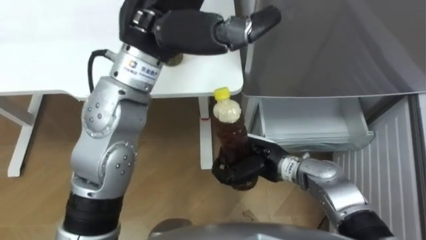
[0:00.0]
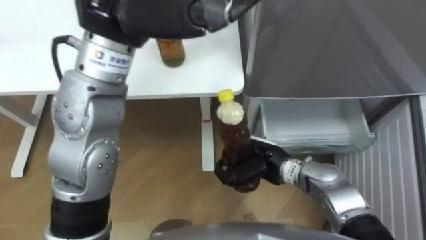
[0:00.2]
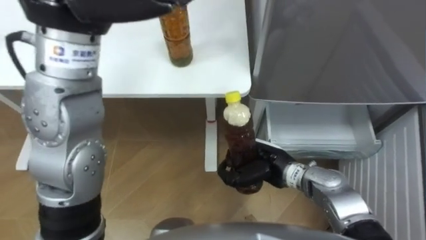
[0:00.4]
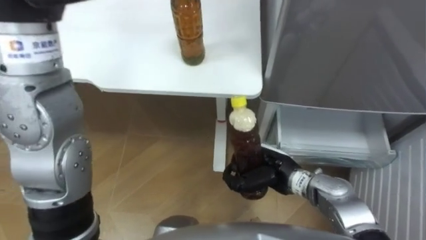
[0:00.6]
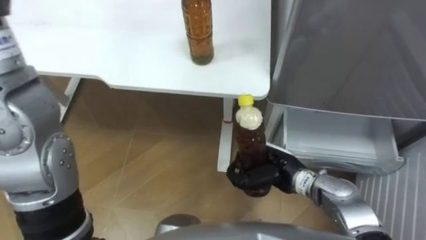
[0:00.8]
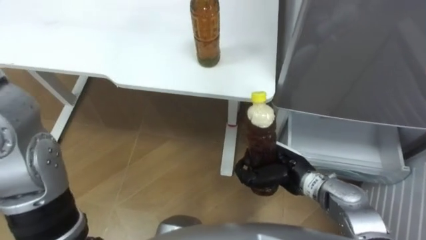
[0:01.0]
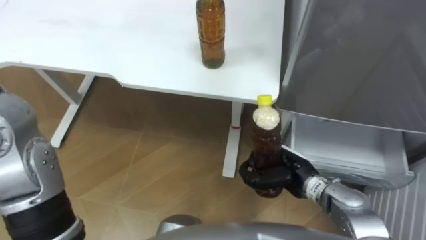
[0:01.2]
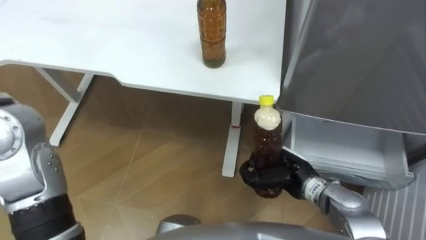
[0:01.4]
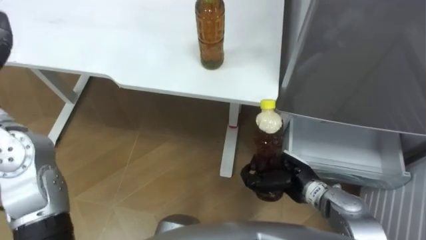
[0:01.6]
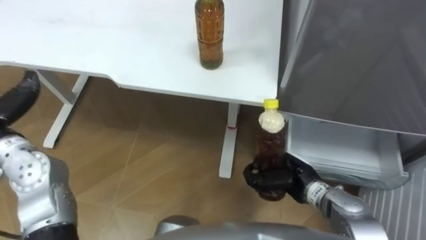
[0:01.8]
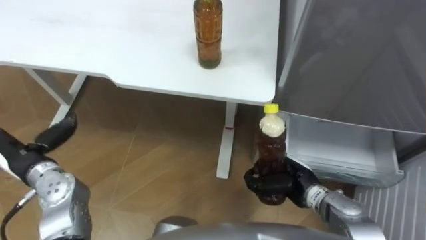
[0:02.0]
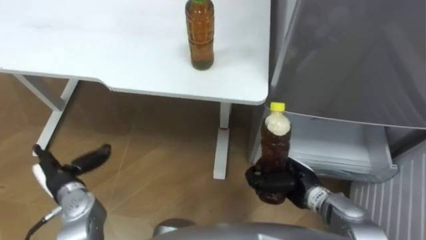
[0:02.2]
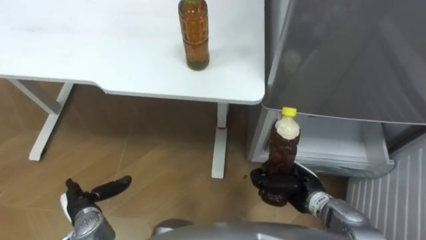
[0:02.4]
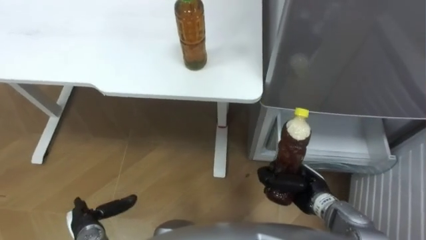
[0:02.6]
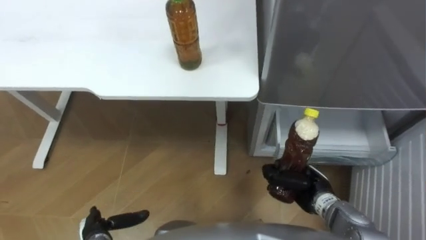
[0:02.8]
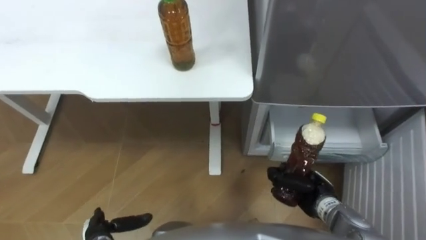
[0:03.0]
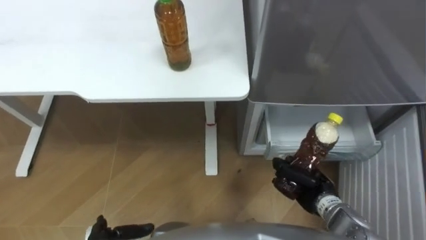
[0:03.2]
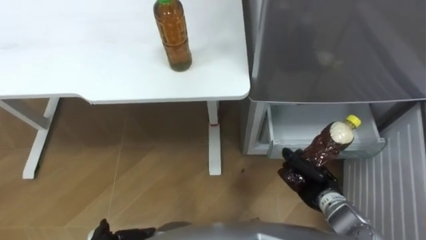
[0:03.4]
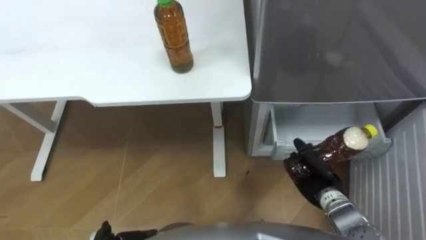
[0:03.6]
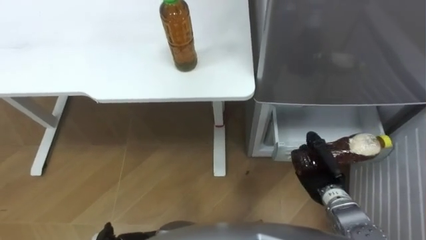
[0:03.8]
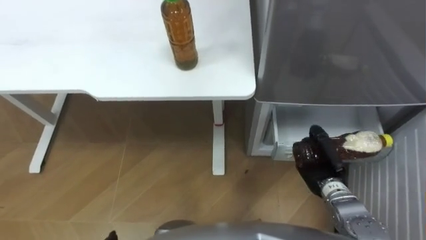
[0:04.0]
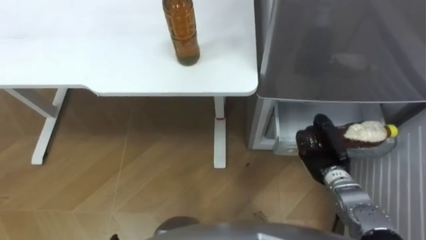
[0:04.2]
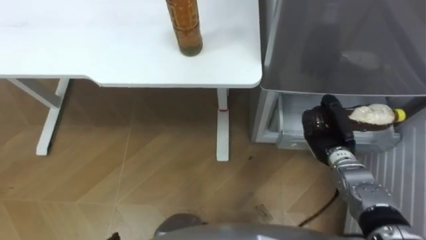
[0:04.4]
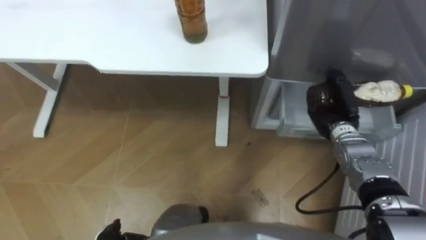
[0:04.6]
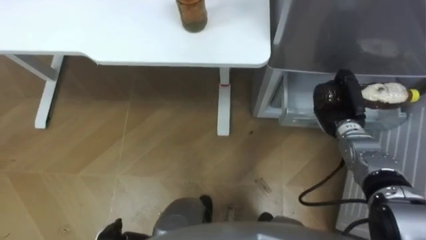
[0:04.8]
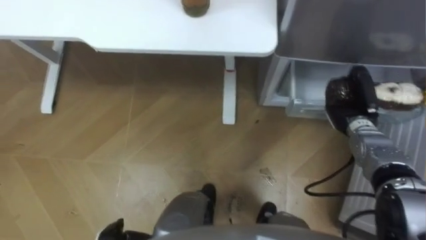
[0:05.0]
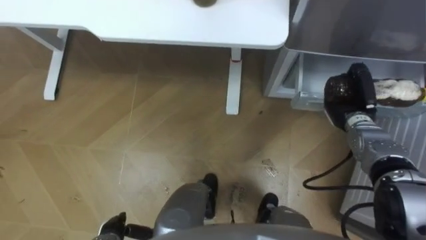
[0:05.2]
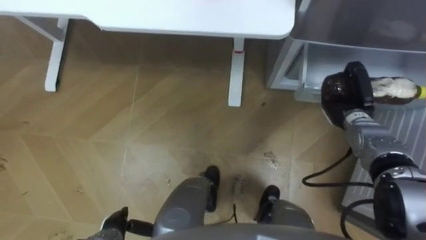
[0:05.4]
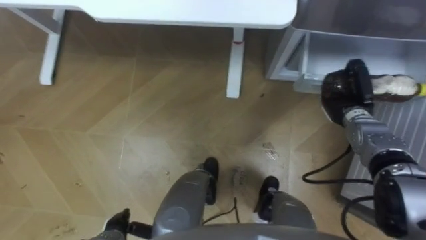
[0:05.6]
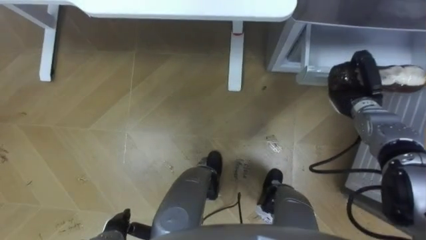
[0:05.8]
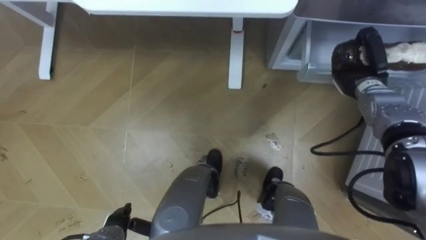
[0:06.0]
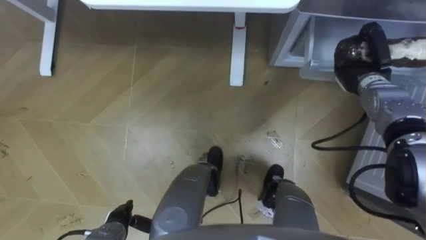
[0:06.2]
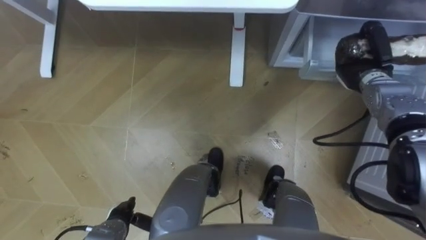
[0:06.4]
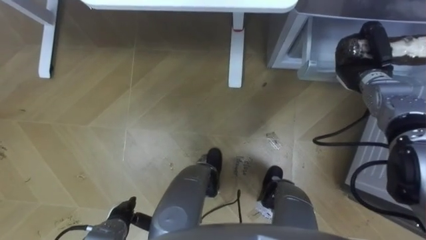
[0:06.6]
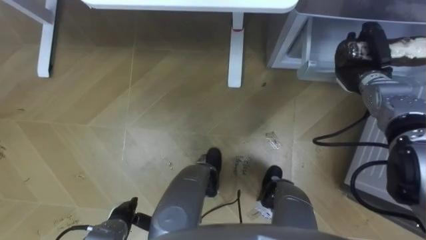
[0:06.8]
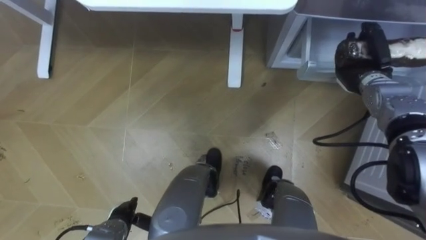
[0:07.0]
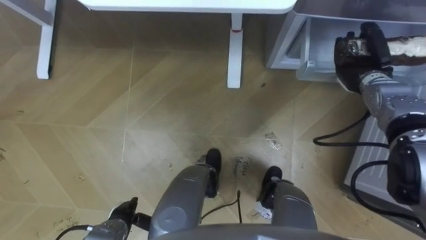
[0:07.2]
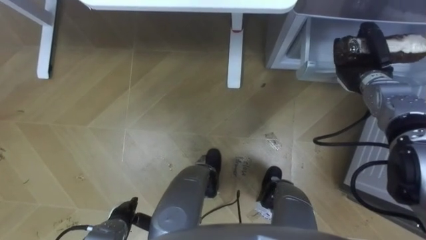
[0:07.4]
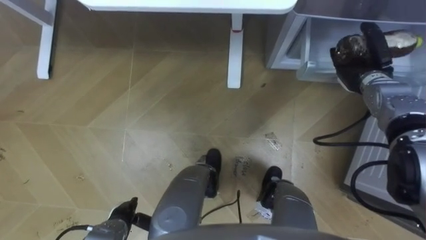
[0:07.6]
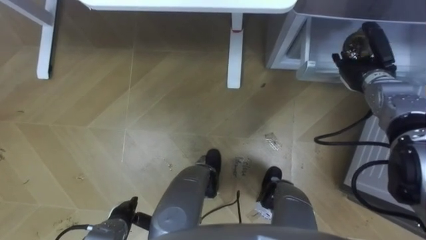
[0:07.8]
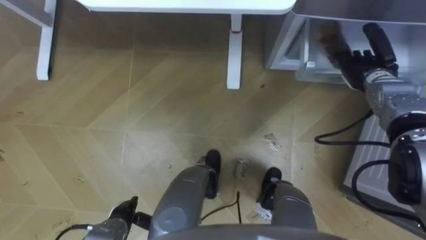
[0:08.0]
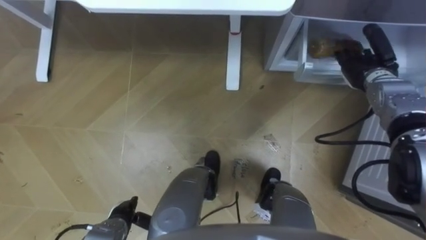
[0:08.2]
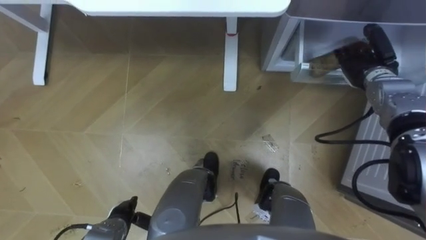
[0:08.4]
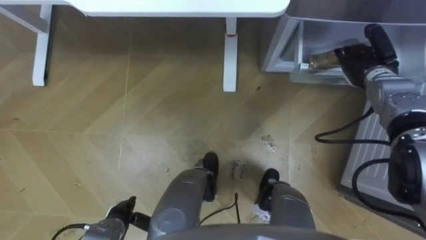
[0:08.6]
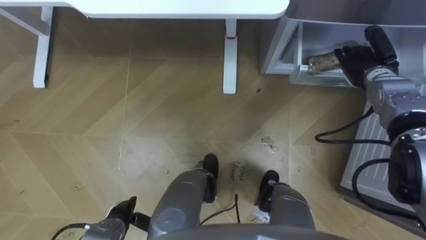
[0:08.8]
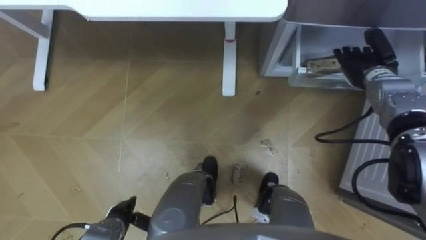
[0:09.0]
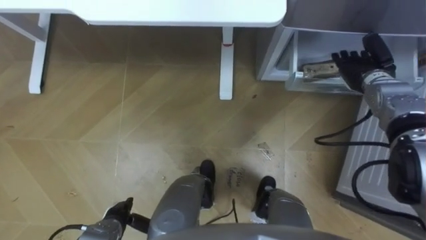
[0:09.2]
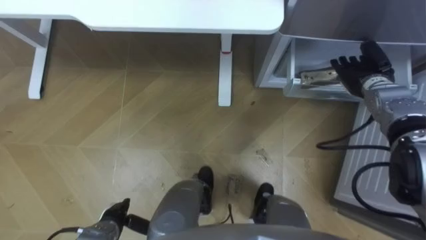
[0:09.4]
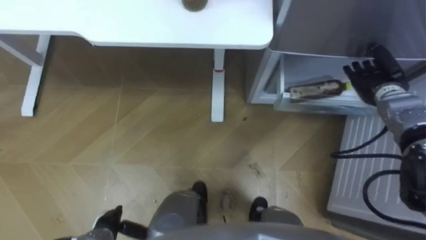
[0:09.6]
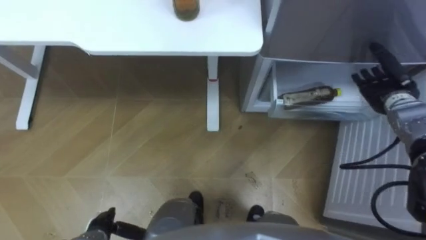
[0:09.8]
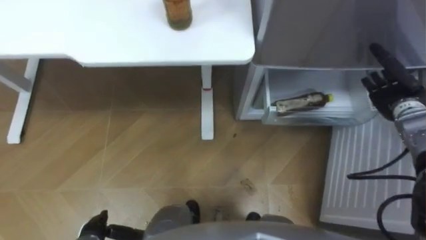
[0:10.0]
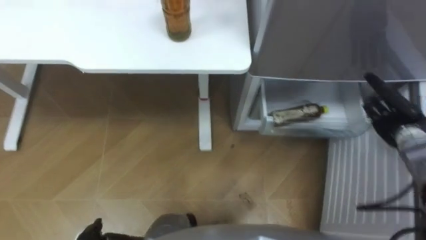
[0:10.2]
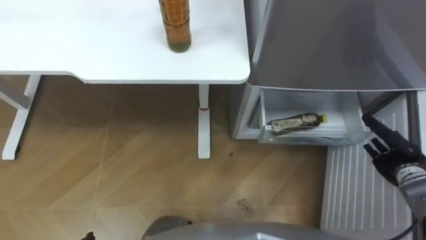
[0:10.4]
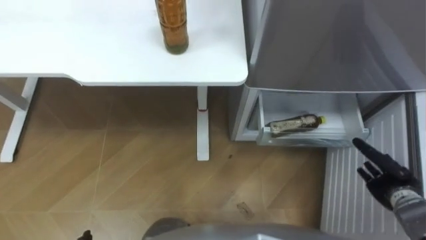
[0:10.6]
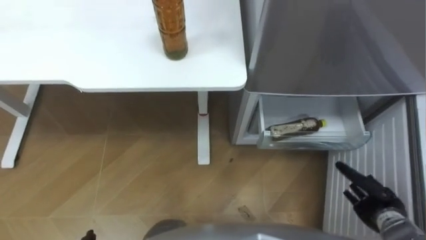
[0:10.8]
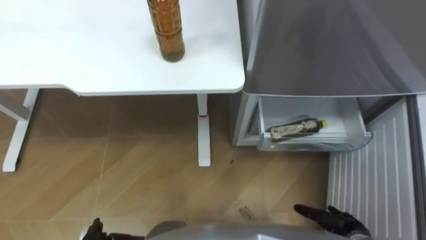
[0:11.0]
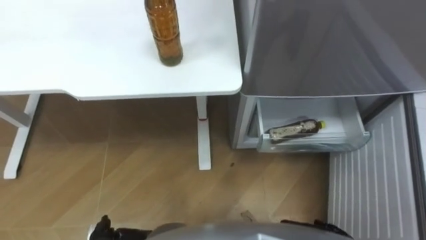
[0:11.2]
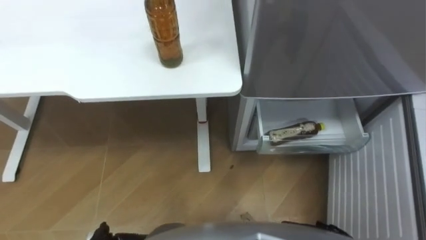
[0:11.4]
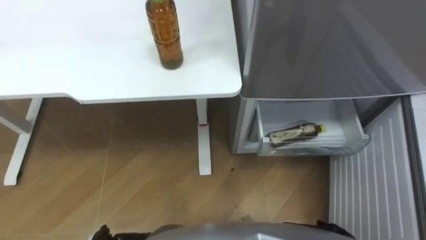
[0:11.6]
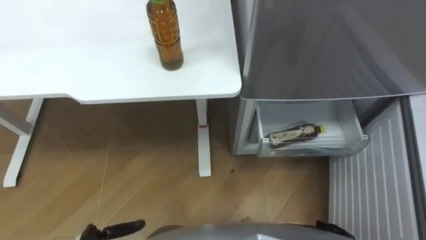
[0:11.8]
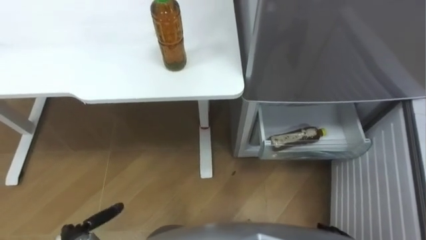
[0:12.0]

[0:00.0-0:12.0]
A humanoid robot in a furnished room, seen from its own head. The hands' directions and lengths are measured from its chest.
Task of the whole recording: Place the drink on the table on the bottom shelf of the refrigerator, then close the drawer and the refrigerator door.
0:00.0 to 0:01.6: The right hand is displaced to the right by about 5 cm.
0:01.6 to 0:03.0: The right hand is displaced to the right by approximately 5 cm.
0:03.0 to 0:04.4: The right hand goes approximately 10 cm forward.
0:04.4 to 0:06.0: The right hand moves forward and upward, roughly 15 cm.
0:06.0 to 0:07.6: The right hand opens its fingers.
0:09.0 to 0:10.4: The right hand moves backward, downward and to the right, approximately 20 cm.

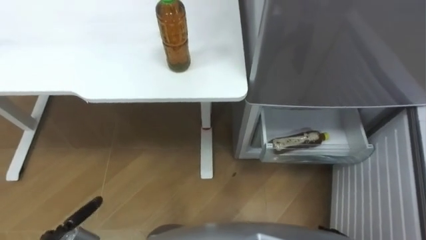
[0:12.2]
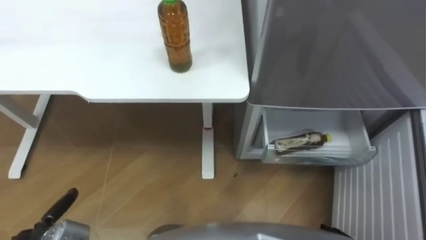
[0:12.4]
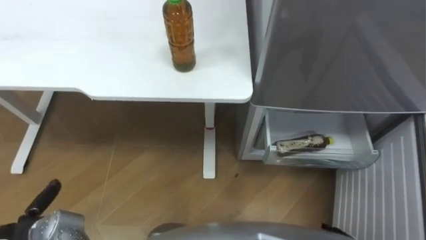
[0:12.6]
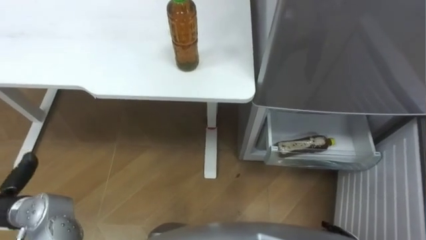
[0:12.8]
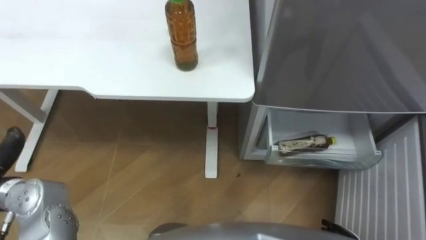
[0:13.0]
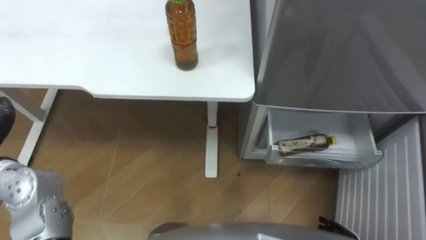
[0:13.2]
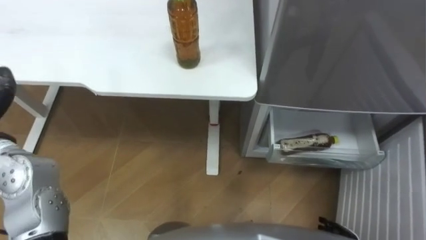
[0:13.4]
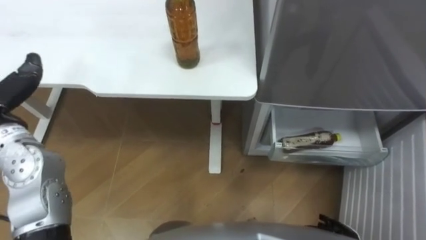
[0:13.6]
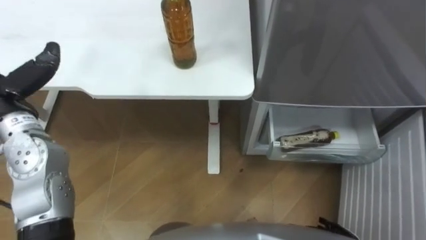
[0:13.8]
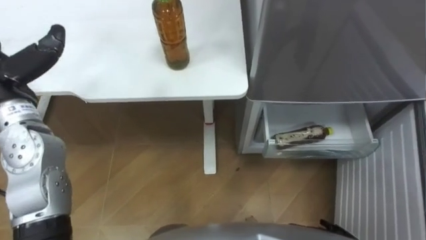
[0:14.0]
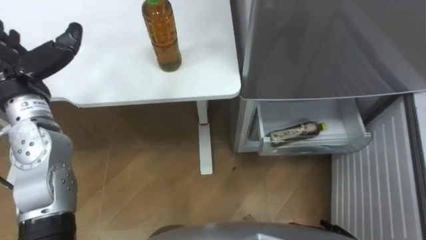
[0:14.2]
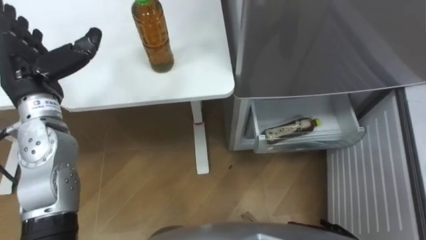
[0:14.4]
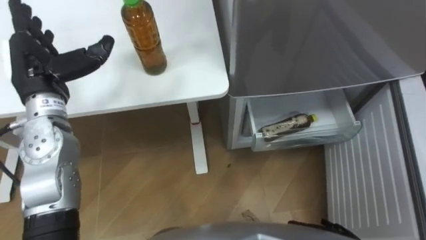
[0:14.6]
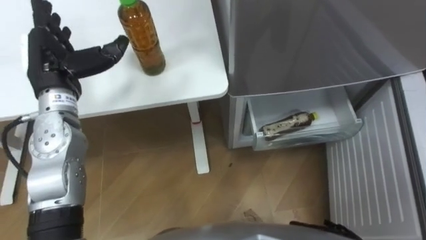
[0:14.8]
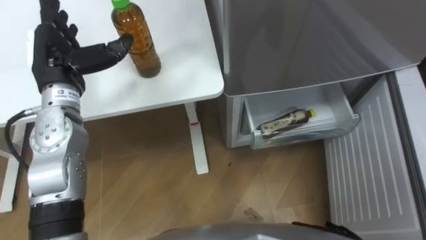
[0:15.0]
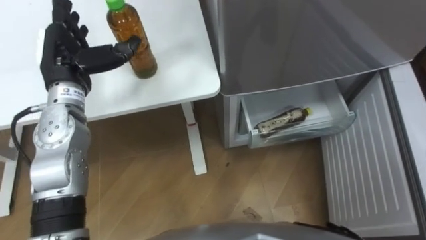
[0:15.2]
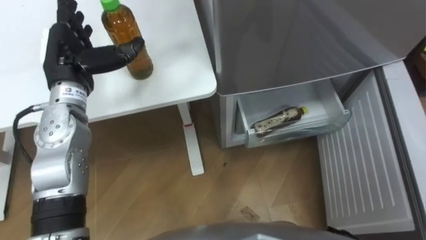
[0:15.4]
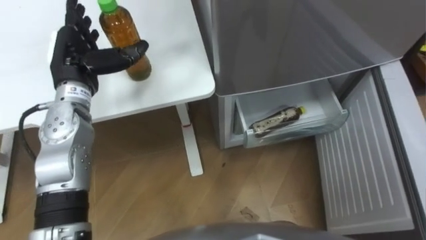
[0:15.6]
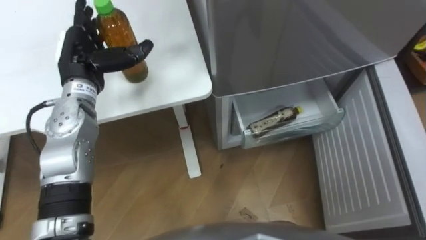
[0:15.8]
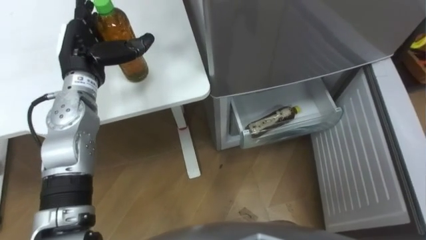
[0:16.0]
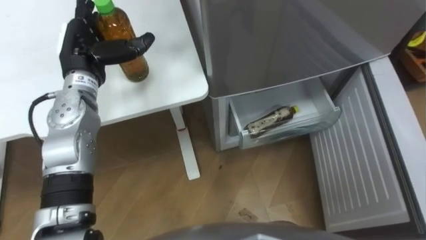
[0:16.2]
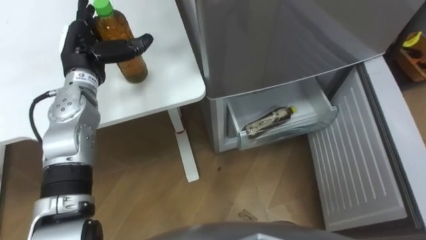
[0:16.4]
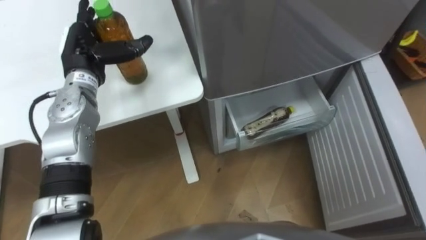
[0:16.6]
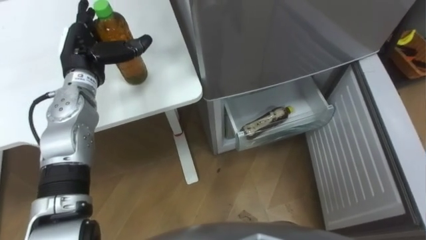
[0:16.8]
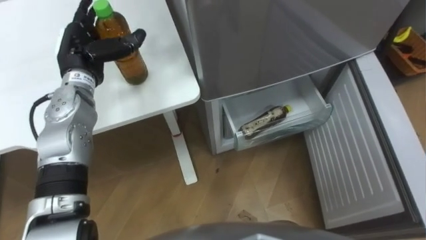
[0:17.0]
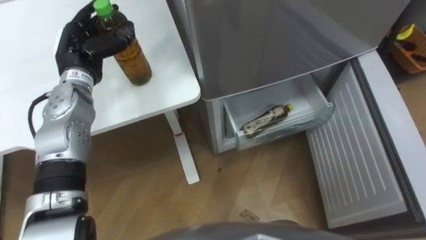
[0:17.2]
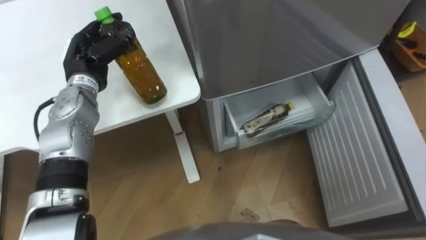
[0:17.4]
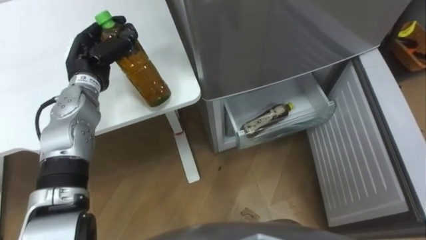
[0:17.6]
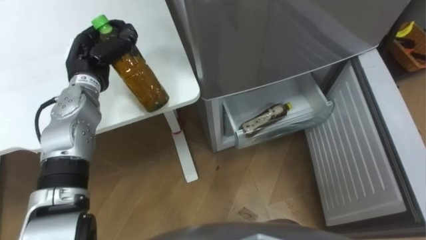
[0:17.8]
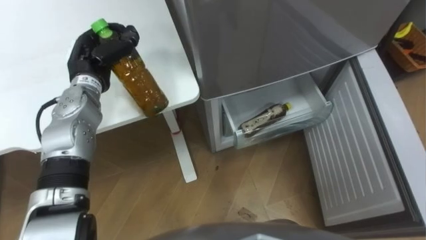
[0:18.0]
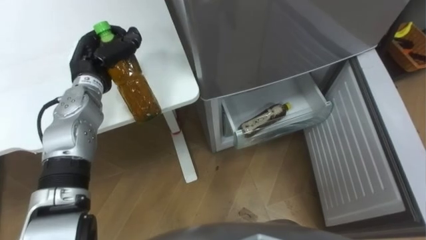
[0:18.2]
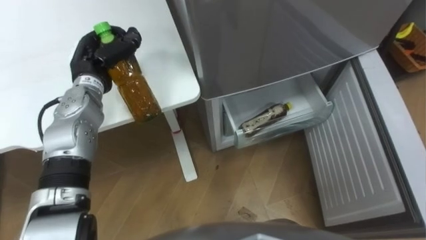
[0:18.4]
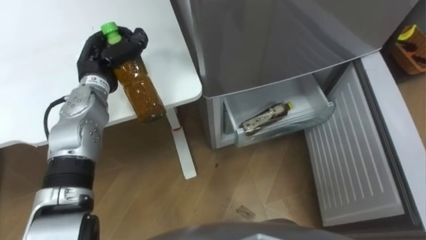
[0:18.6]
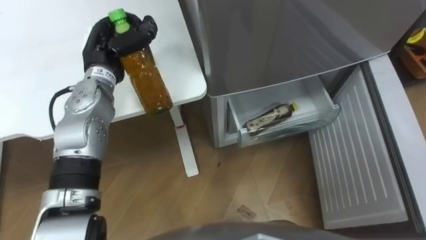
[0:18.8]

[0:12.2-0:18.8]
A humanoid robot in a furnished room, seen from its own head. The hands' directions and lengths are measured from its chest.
Task of the whole recording: Place the drink on the table on the bottom shelf of the refrigerator, then close the drawer and the refrigerator door.
0:15.4 to 0:17.2: The left hand ends up some 5 cm from where it was, and closes up.
0:17.2 to 0:18.8: The left hand closes.
